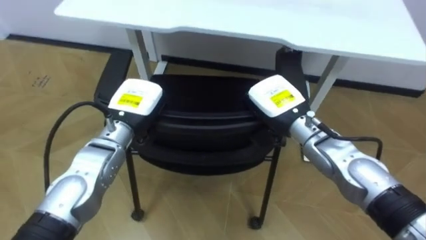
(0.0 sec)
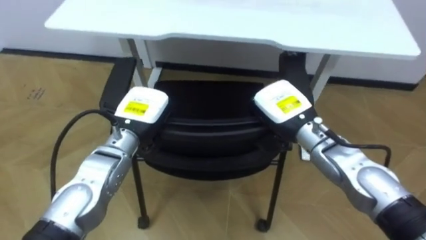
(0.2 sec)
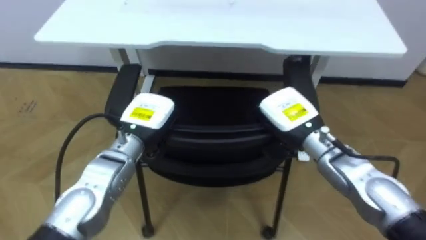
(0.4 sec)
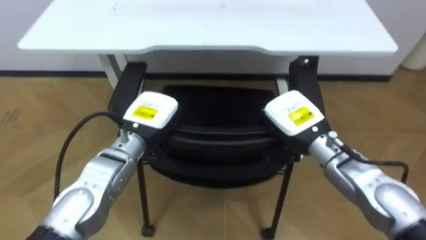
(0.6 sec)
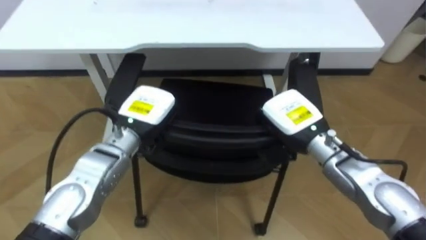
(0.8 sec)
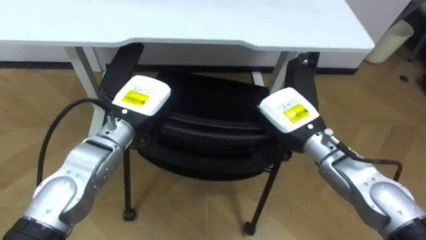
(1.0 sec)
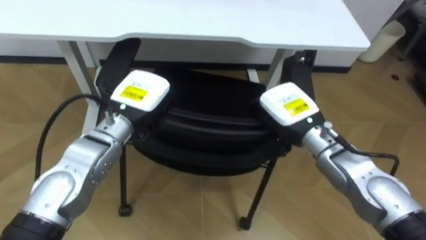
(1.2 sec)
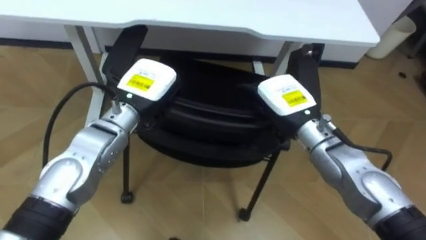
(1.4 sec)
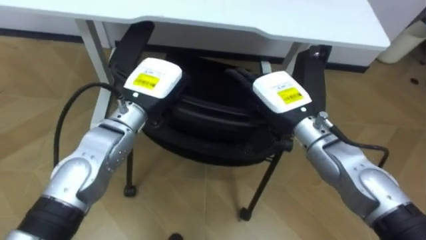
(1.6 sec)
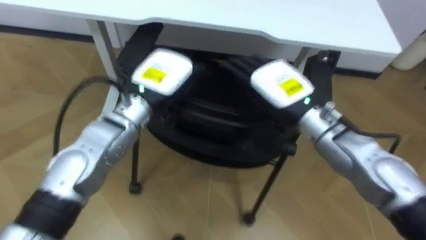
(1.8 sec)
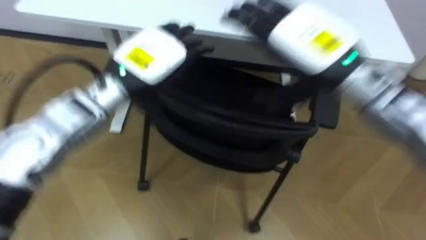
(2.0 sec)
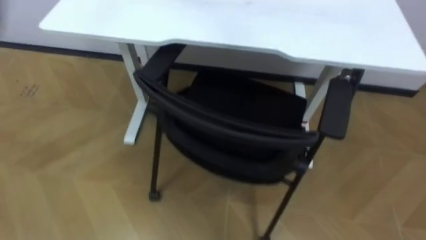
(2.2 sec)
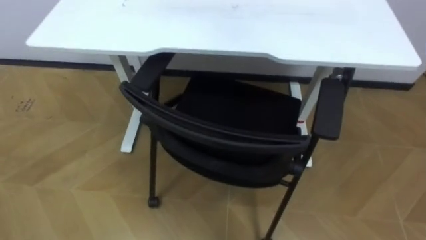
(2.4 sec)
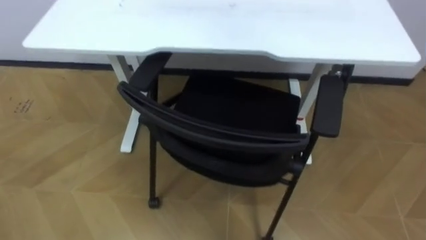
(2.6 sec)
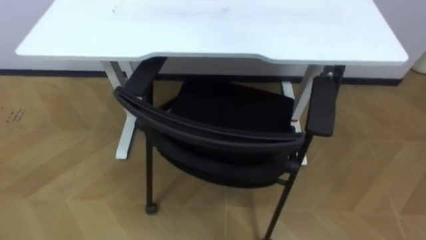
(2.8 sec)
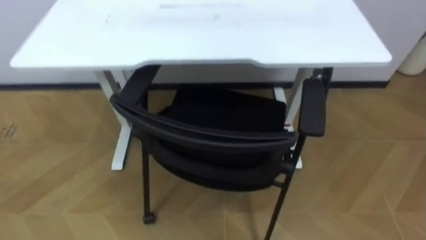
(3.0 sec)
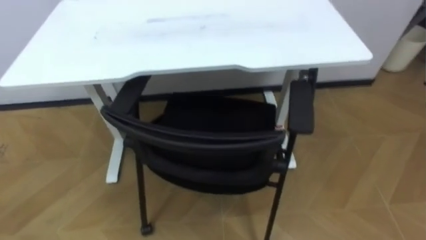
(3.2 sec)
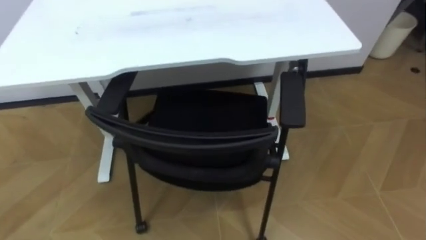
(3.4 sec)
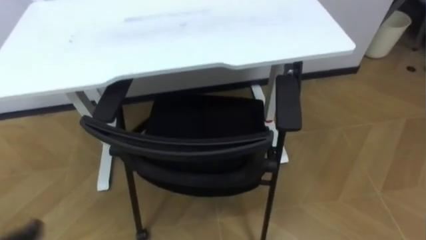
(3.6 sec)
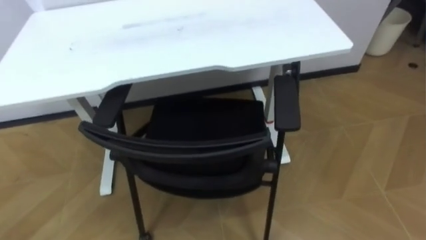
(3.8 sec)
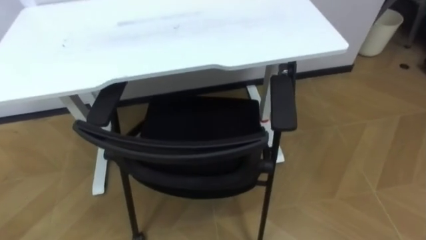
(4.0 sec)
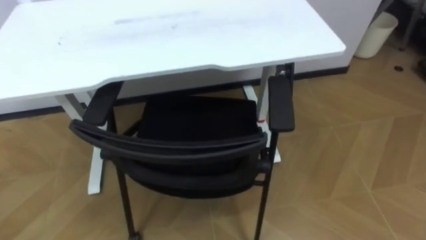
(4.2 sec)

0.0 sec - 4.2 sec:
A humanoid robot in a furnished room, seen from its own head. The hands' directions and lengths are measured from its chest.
Task of the whole recording: Push the chair under the table.
0.0 sec - 1.4 sec: The right hand opens.

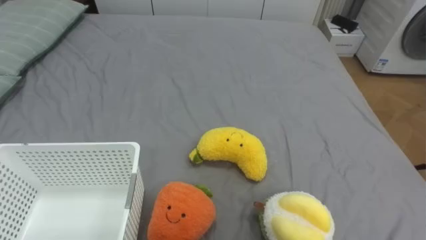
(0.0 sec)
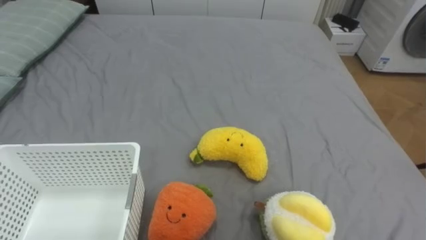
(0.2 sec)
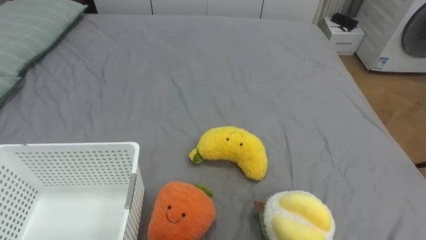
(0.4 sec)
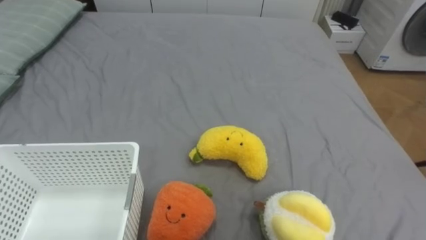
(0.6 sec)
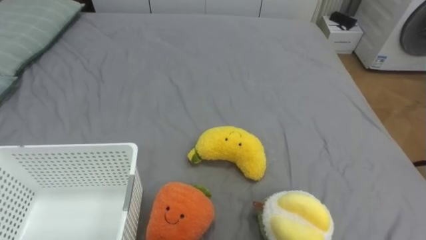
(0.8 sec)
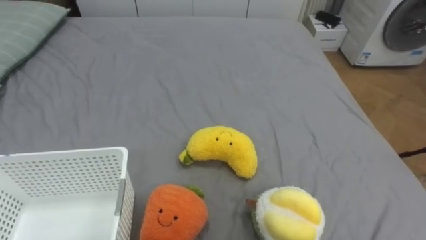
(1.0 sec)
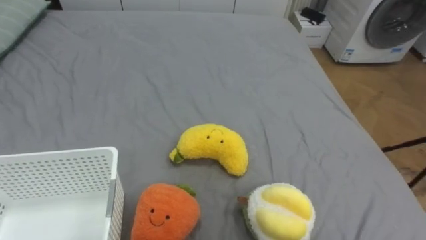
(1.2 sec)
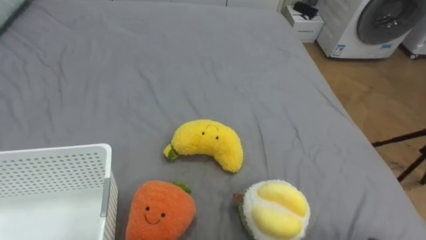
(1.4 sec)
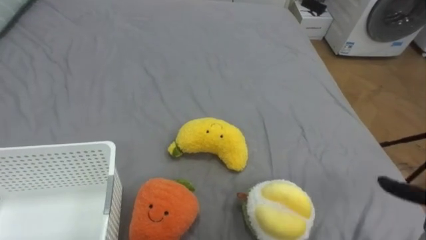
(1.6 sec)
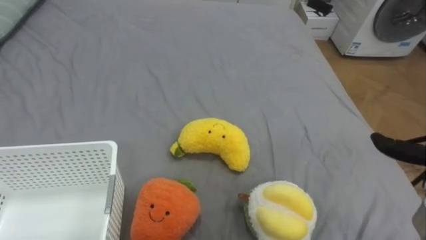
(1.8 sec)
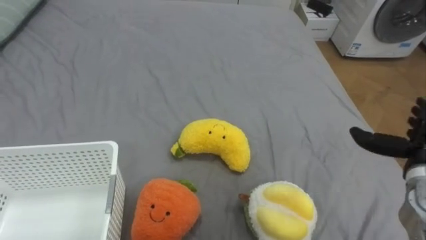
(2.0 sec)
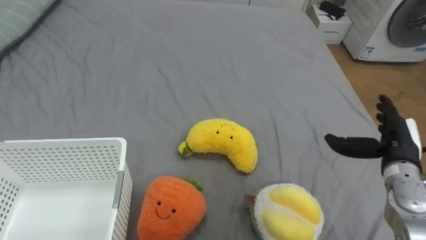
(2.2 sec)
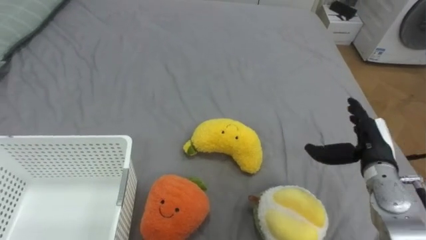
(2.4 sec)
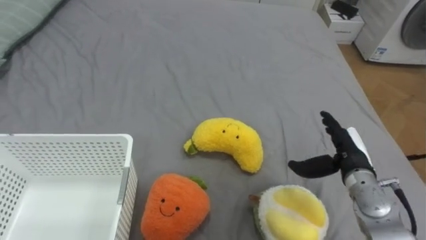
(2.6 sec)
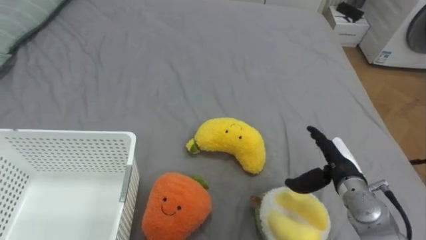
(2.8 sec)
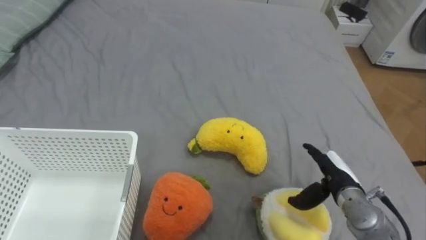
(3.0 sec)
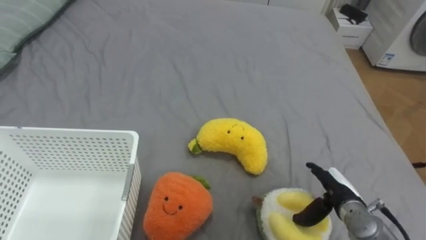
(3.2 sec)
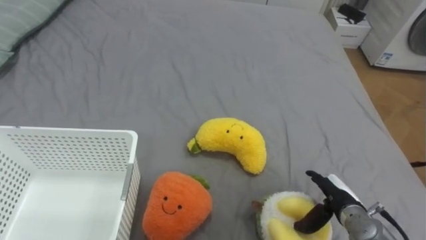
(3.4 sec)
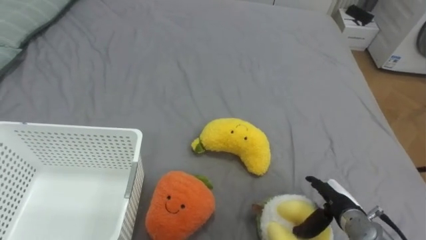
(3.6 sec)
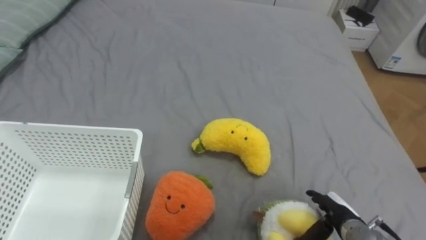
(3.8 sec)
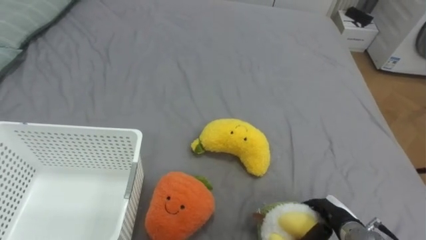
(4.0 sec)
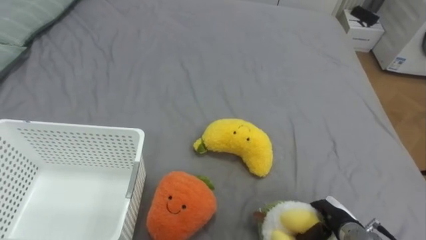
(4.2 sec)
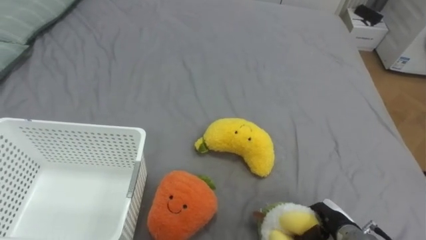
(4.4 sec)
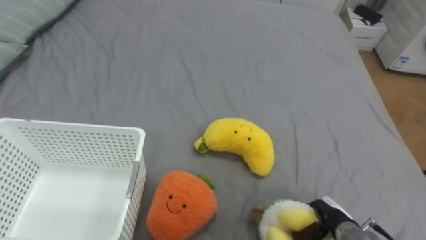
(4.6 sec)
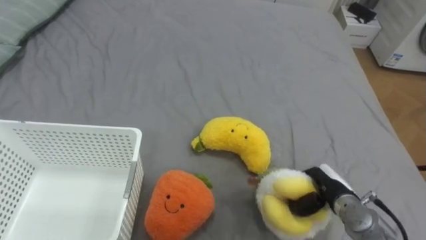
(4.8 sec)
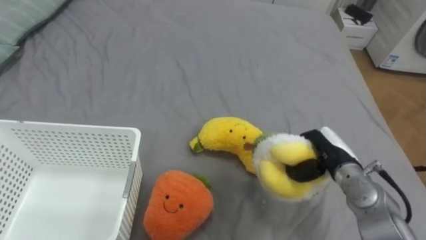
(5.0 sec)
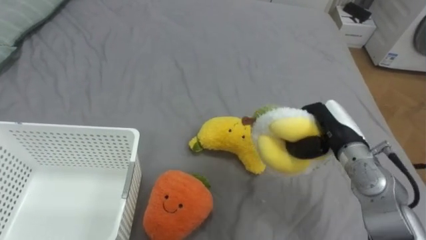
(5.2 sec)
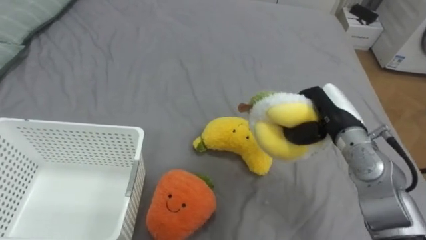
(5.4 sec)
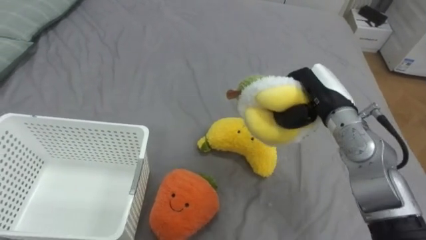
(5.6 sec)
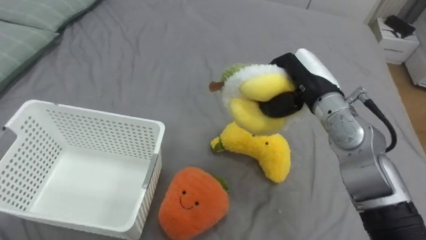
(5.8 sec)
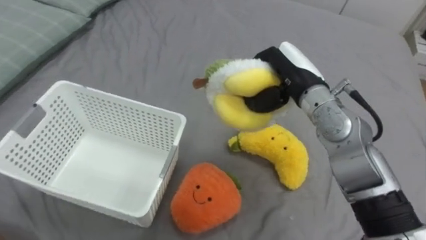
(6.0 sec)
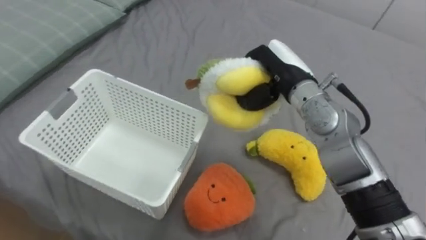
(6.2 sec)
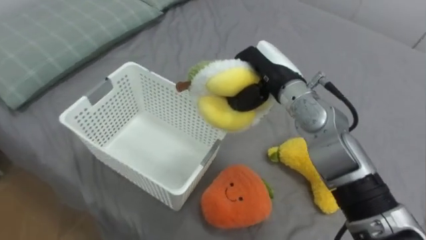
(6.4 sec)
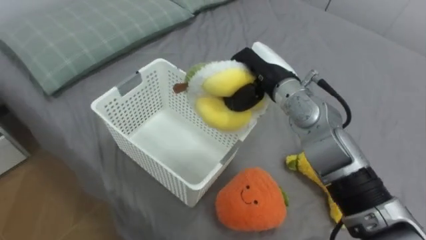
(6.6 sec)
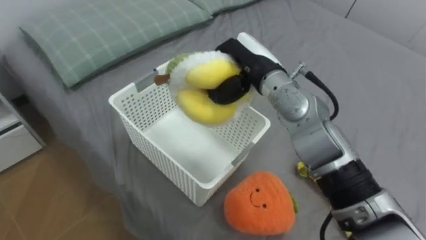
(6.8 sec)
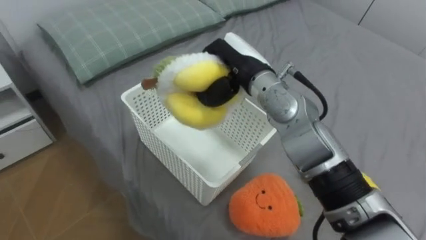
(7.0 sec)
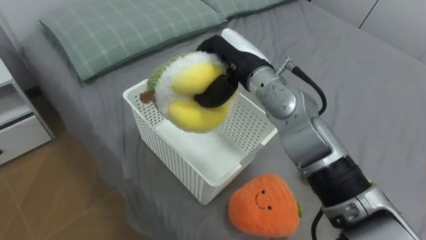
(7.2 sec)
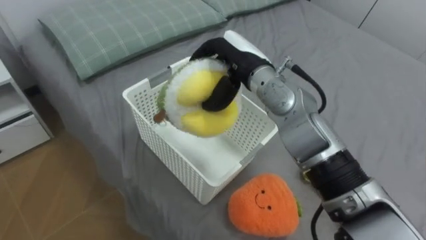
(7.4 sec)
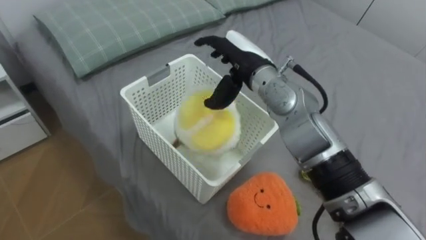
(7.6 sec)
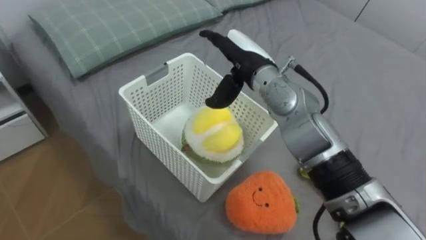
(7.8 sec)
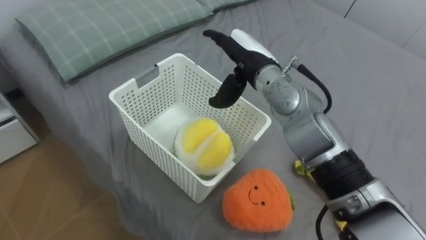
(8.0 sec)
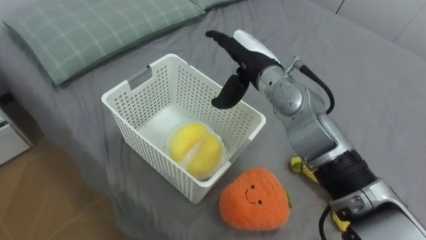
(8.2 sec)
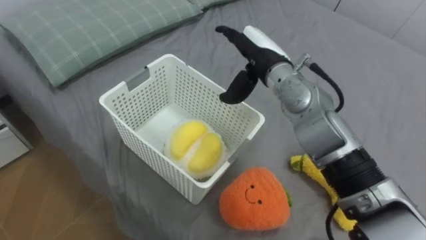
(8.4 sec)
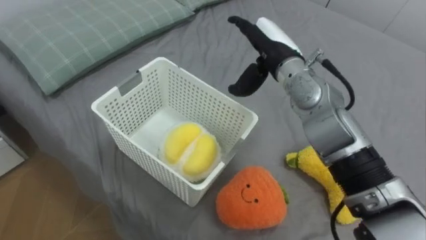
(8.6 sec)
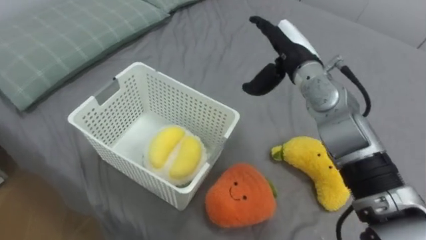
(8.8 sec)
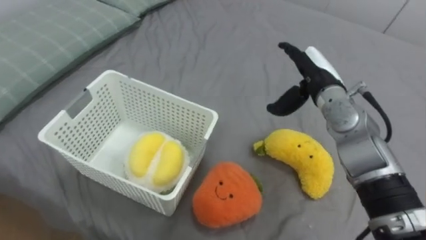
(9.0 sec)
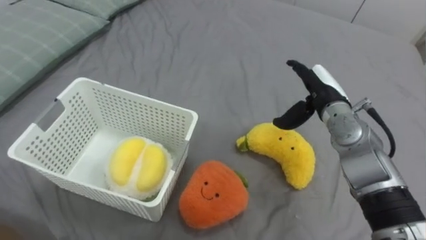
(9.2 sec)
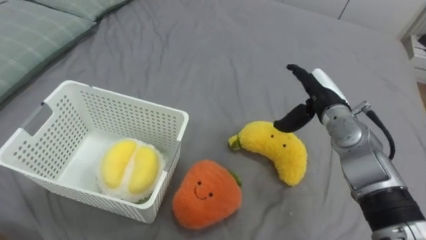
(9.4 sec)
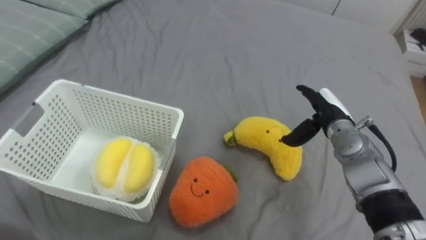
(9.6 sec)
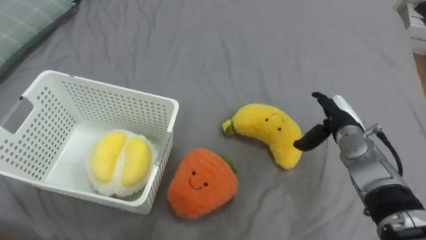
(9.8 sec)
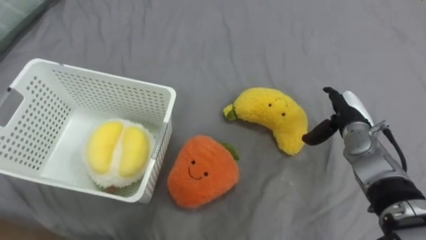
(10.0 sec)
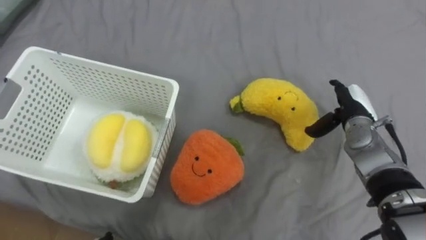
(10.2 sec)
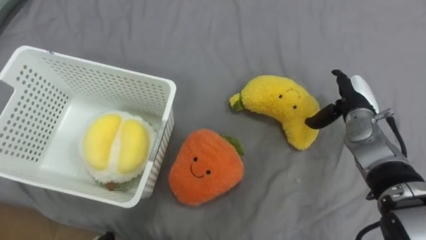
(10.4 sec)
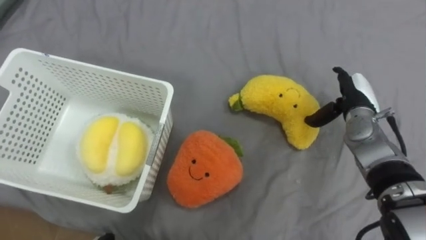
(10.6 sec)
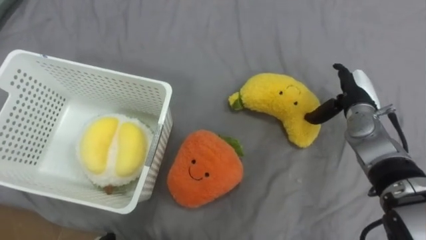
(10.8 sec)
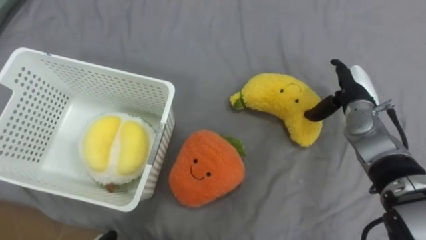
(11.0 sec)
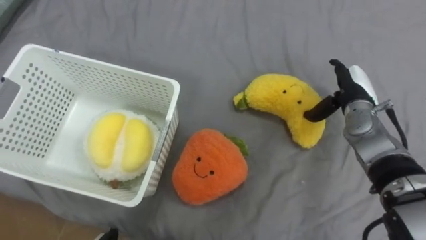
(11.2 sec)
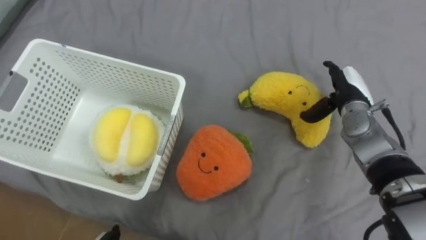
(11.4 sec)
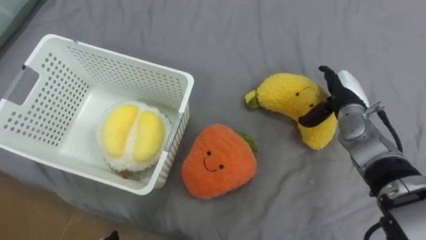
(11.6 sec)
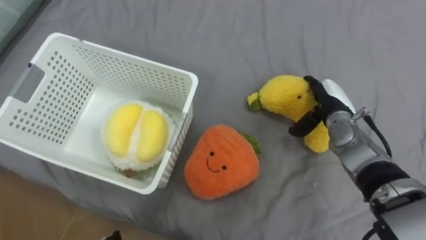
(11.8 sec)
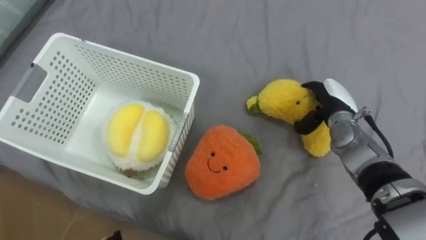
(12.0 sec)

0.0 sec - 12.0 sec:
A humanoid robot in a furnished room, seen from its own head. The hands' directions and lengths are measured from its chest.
Task of the whole recording: Put the toys on the bed into the basket on the left.
3.0 sec - 4.4 sec: The right hand heads downward and backward, covering roughly 10 cm, and closes up.
4.4 sec - 6.0 sec: The right hand travels upward, forward and to the left by some 35 cm.
6.0 sec - 7.6 sec: The right hand is displaced to the left by about 10 cm, and opens.
7.6 sec - 9.0 sec: The right hand shifts roughly 15 cm to the right.
9.0 sec - 10.4 sec: The right hand heads to the right and downward, covering some 10 cm.
